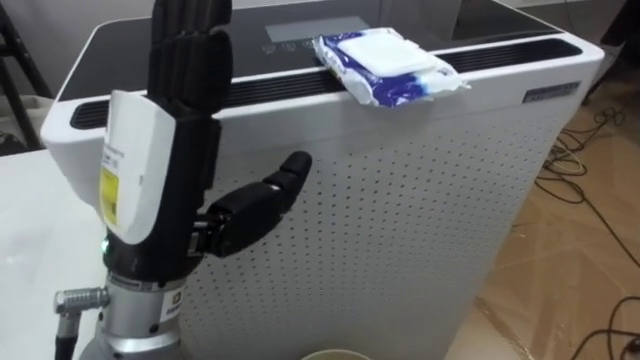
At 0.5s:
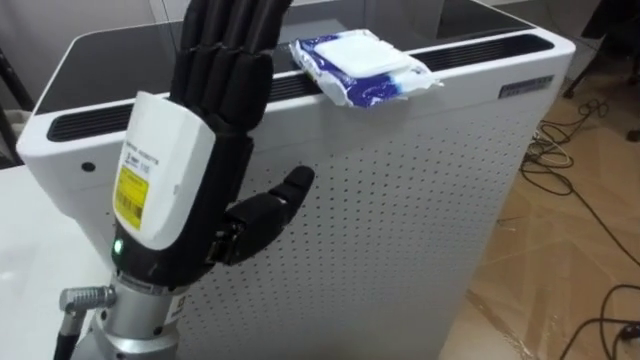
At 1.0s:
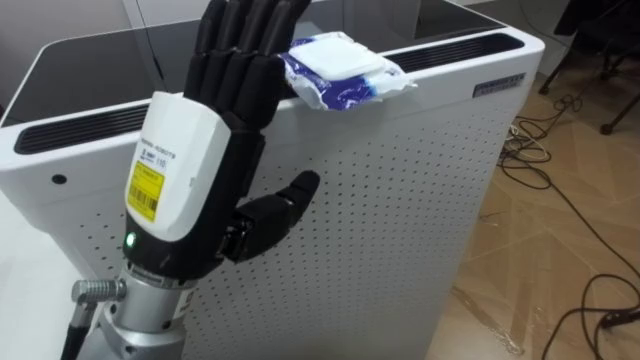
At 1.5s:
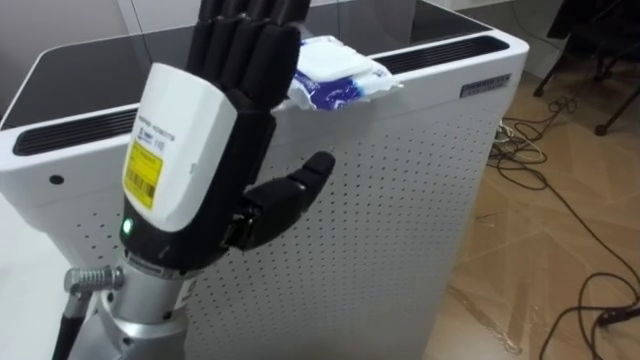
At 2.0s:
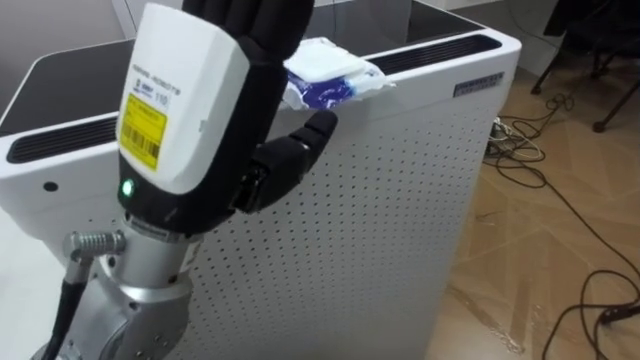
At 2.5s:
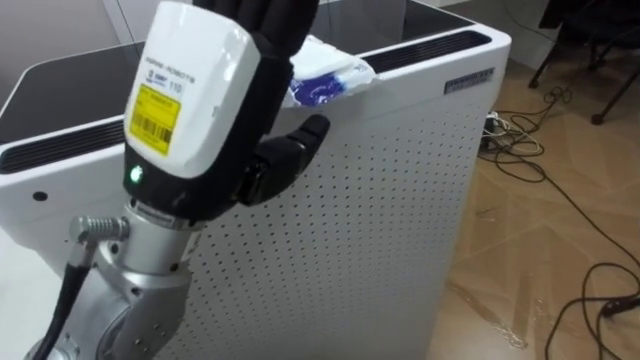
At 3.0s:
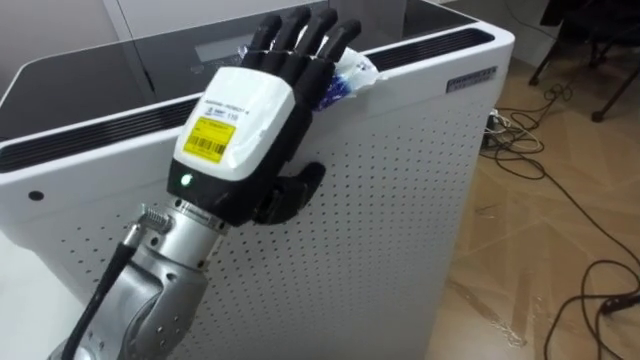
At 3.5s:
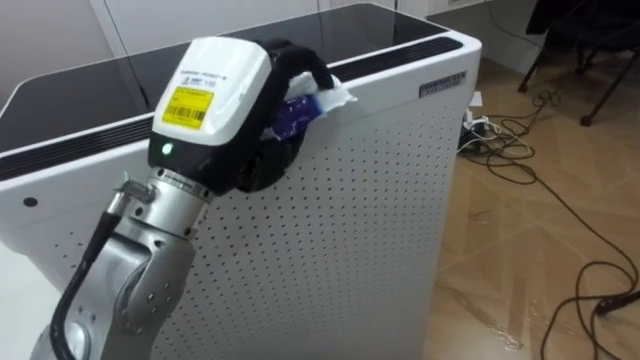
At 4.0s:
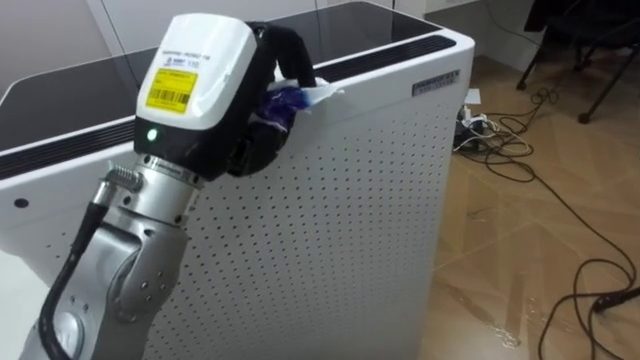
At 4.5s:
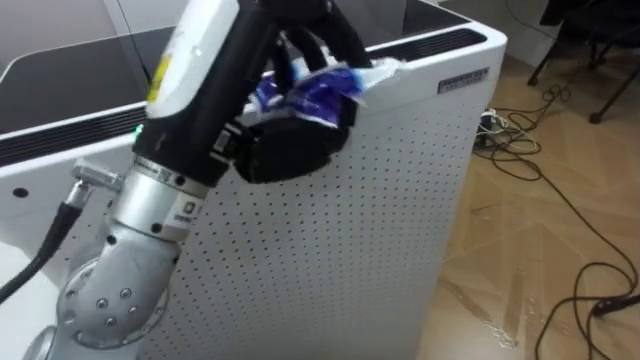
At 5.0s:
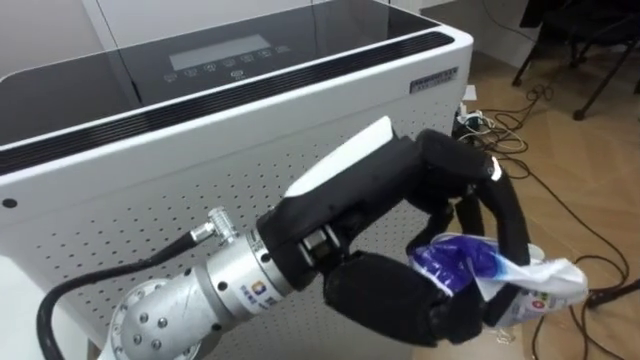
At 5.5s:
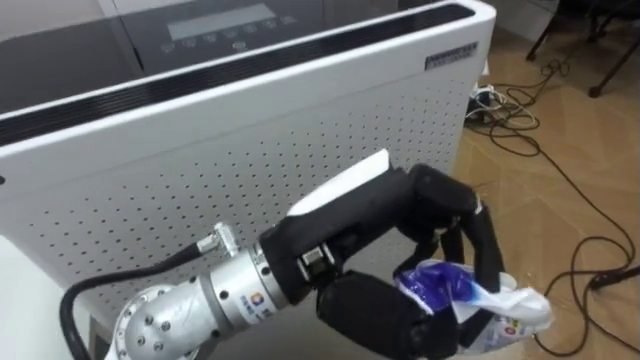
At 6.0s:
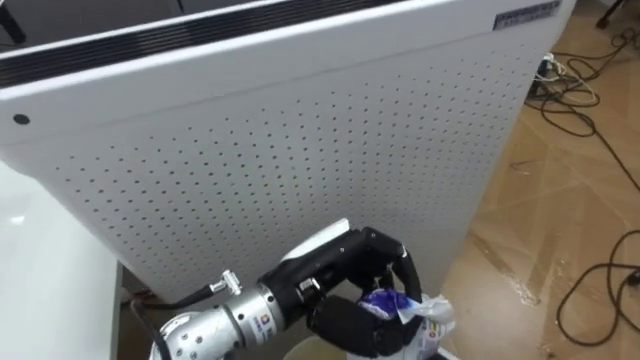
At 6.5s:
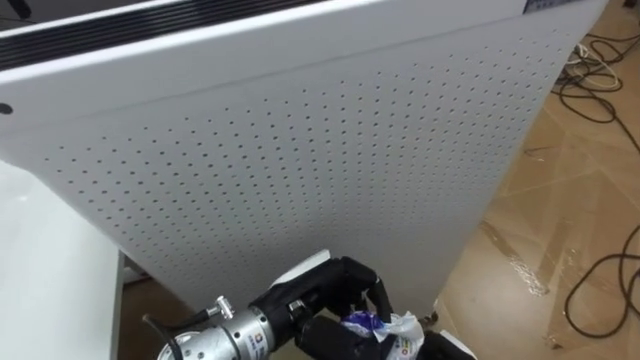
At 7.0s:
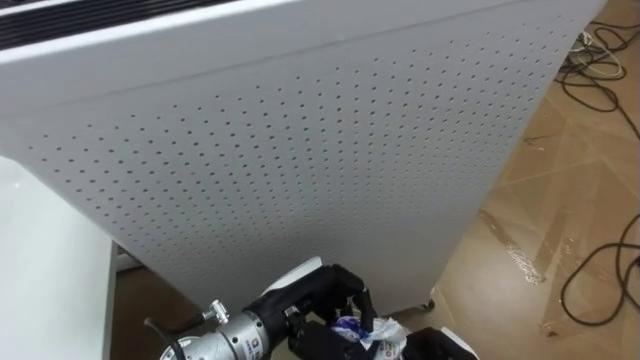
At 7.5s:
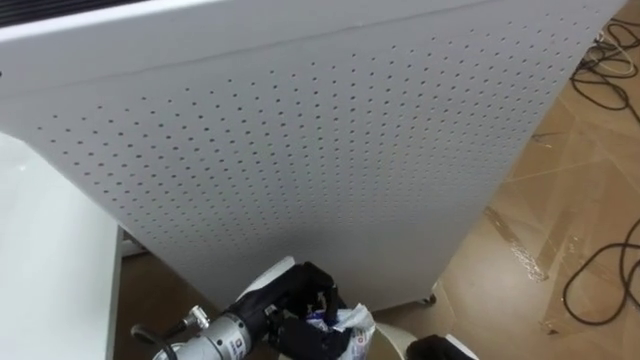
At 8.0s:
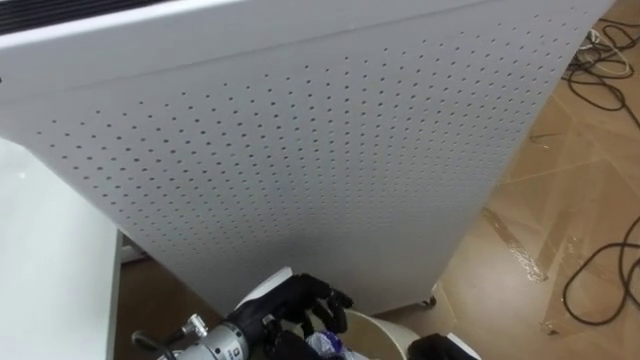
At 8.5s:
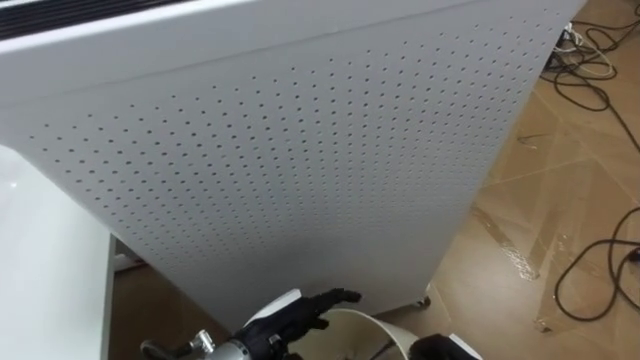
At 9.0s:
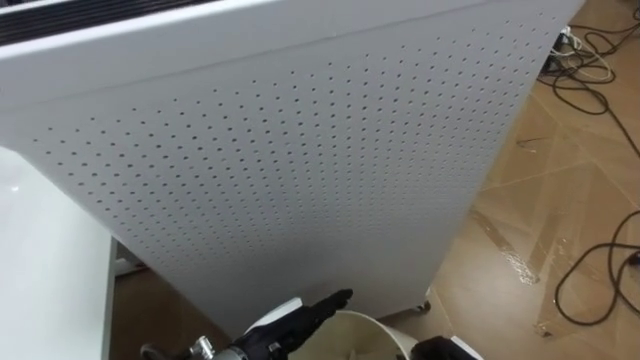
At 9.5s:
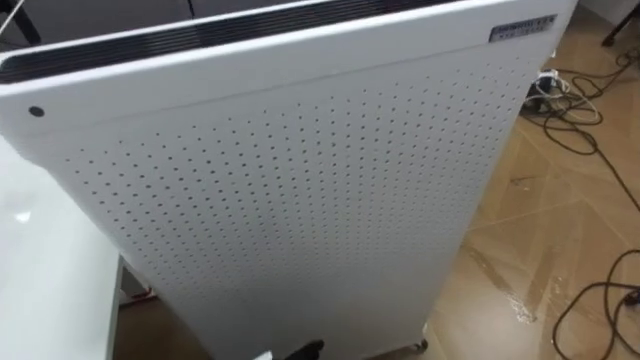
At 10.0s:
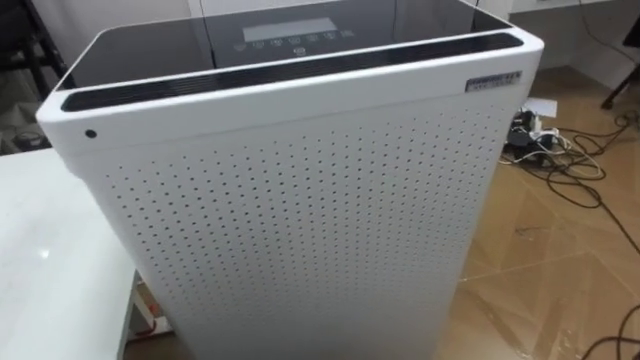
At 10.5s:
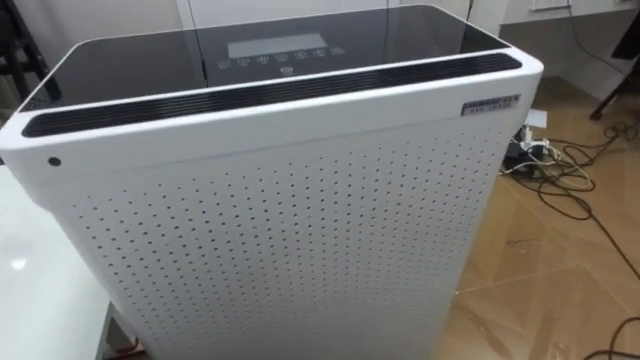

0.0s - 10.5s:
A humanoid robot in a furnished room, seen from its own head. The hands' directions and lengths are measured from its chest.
Task of the whole recording: Pick up the light blue package, the candy box, and the dark blue package separately, and put them into the trash can held in your right hand.
0.0s - 2.0s: The left hand shifts by some 5 cm.
2.0s - 4.0s: The left hand goes roughly 5 cm forward, and closes up.
4.0s - 6.5s: The left hand goes roughly 20 cm downward.
6.5s - 8.5s: The left hand shifts some 5 cm downward, and opens up.

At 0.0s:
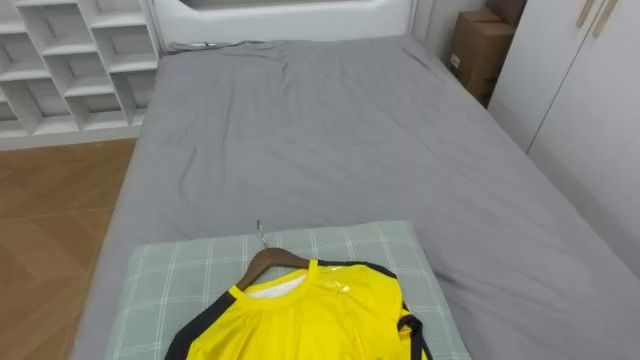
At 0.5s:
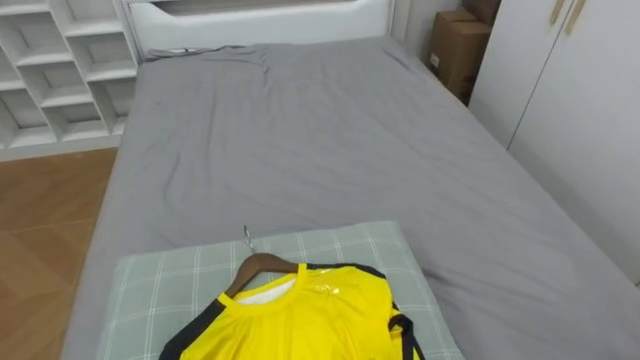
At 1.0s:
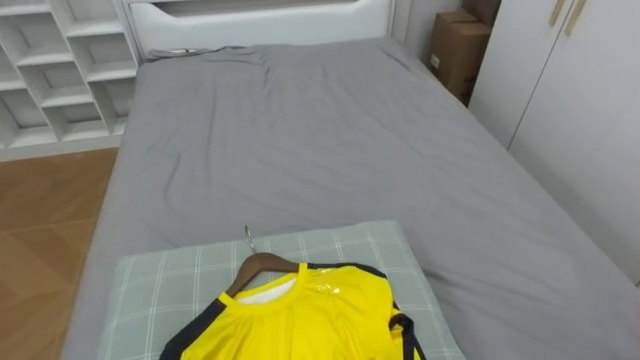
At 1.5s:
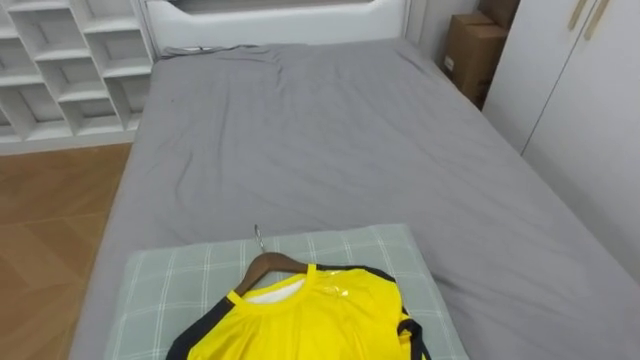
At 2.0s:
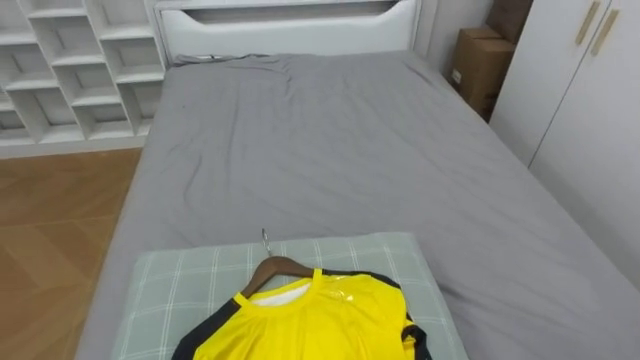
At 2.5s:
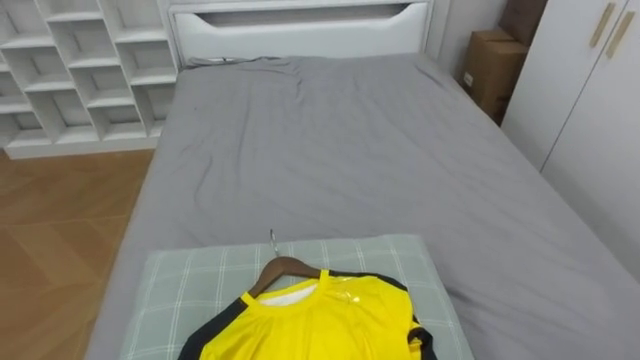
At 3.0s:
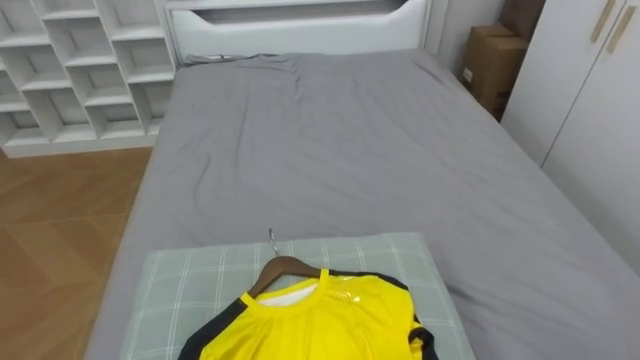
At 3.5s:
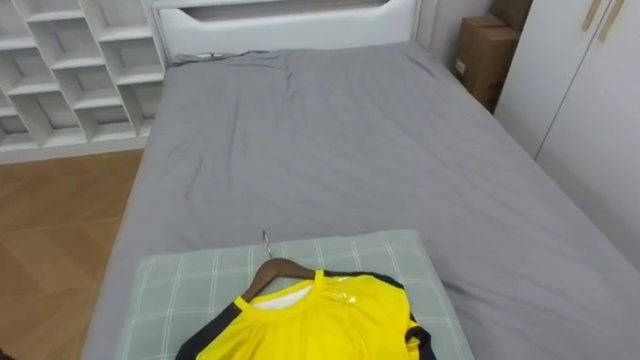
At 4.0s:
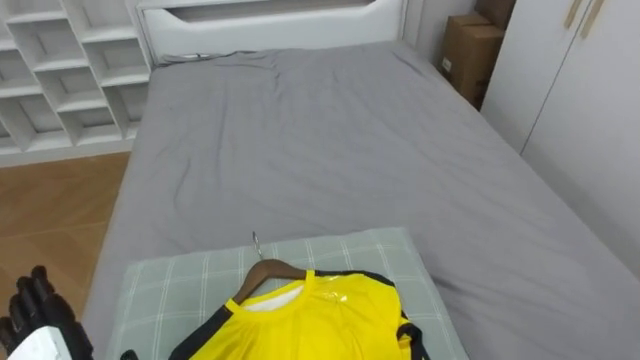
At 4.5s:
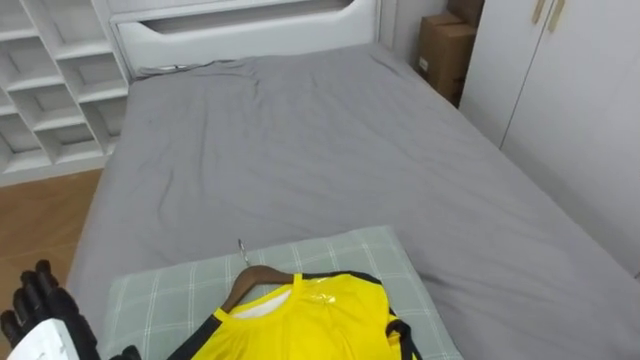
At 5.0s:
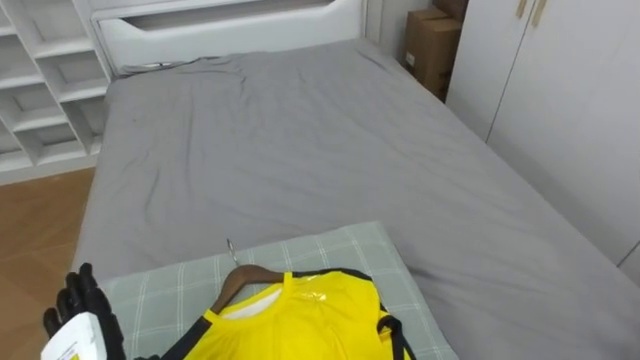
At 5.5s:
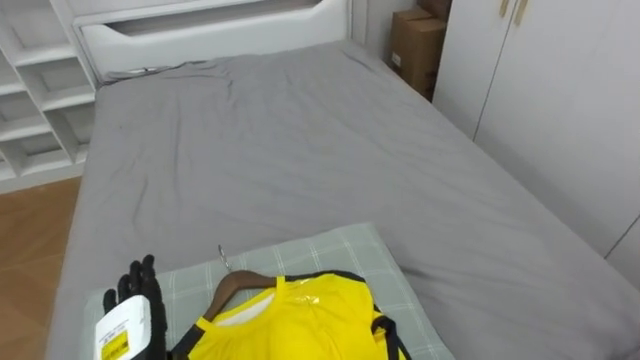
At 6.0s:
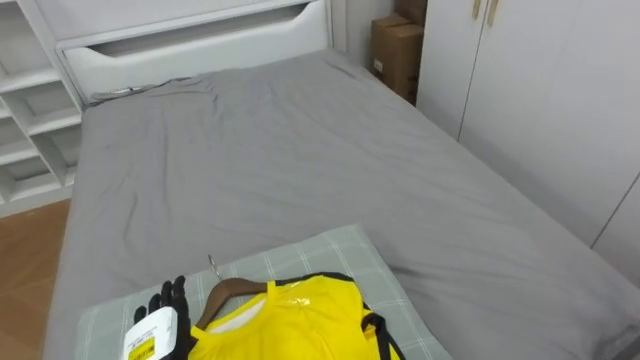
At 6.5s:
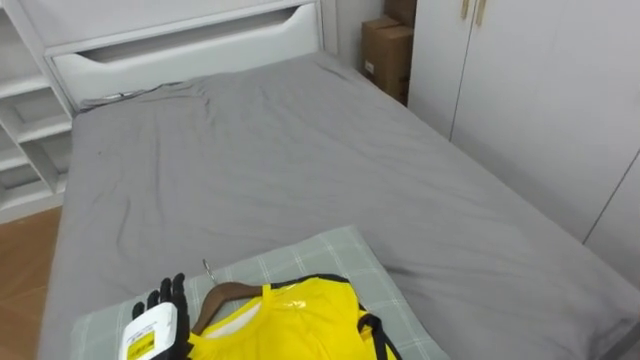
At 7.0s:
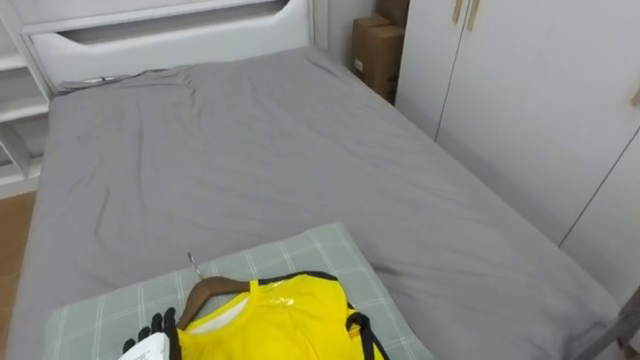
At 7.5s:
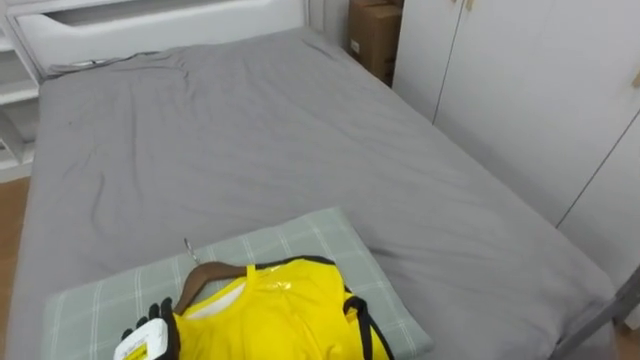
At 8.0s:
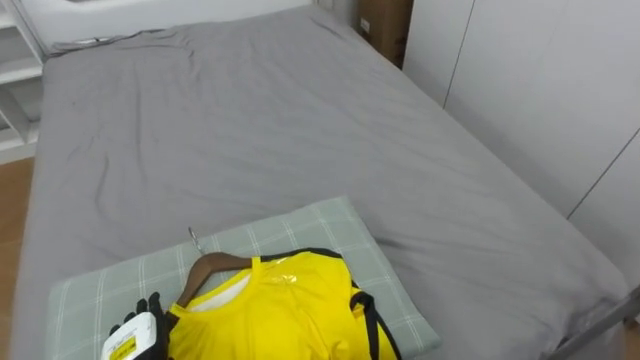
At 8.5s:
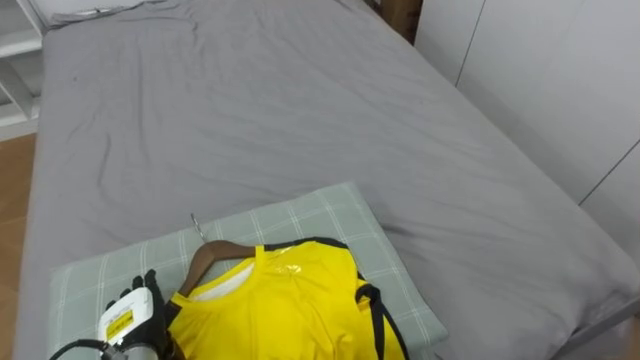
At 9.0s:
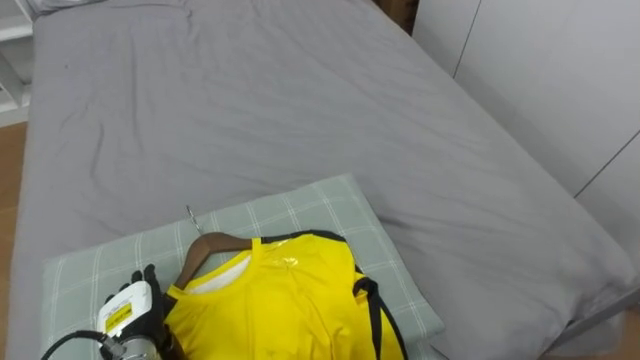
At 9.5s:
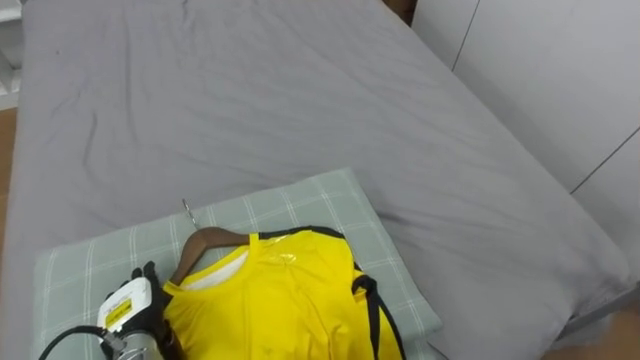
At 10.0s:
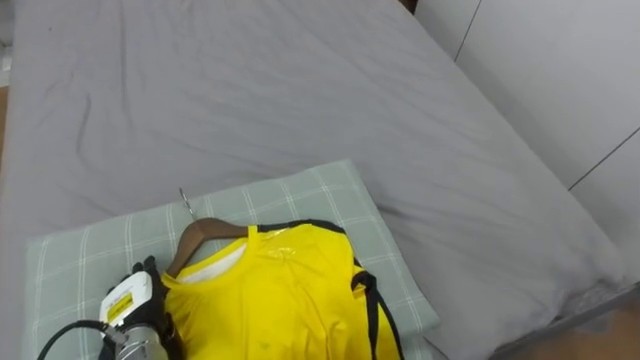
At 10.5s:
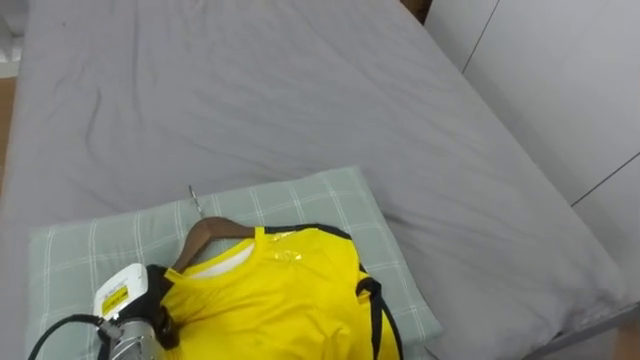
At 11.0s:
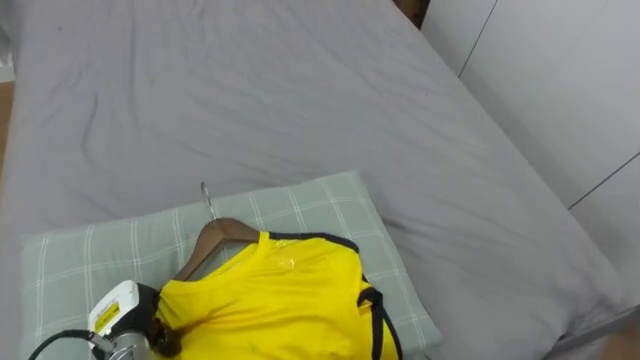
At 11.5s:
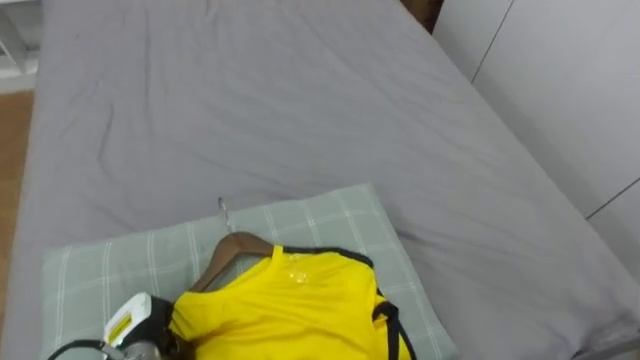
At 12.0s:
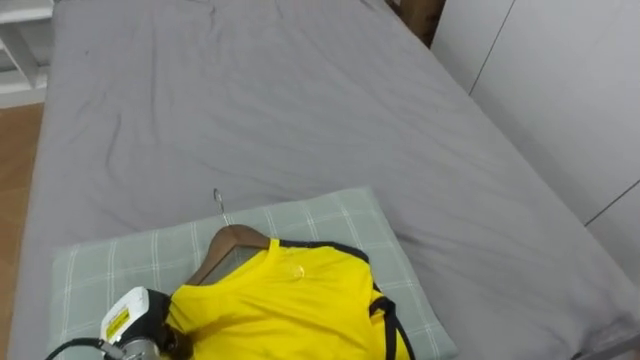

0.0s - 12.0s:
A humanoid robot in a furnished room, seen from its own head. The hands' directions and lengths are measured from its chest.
Task of the whole recording: Pick up the yellow shirt on the bed and hang it on the clothes rack on the right.
8.0s - 10.0s: The left hand moves about 5 cm.
10.0s - 12.0s: The left hand closes up.
